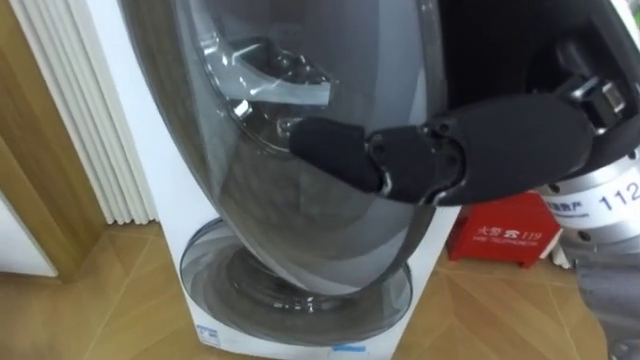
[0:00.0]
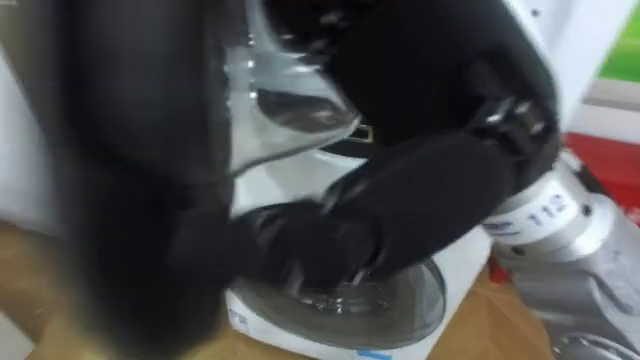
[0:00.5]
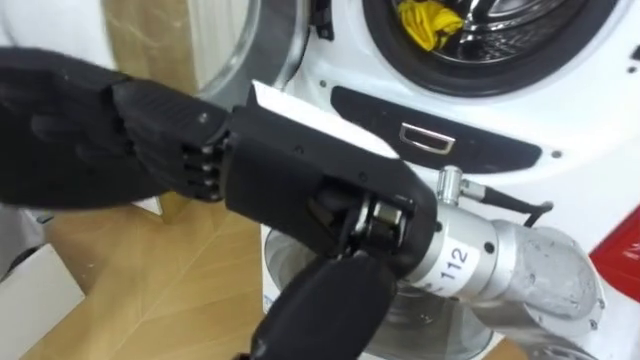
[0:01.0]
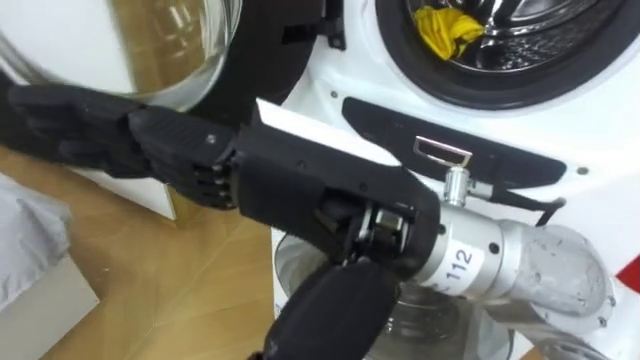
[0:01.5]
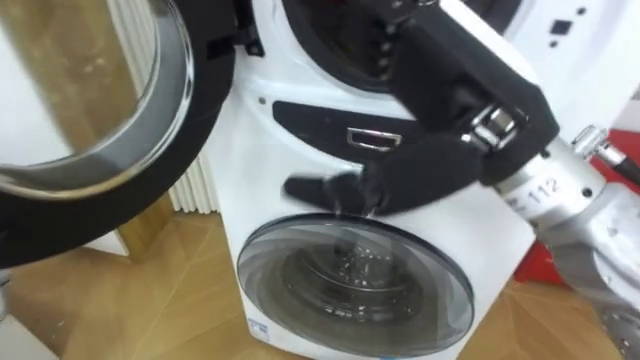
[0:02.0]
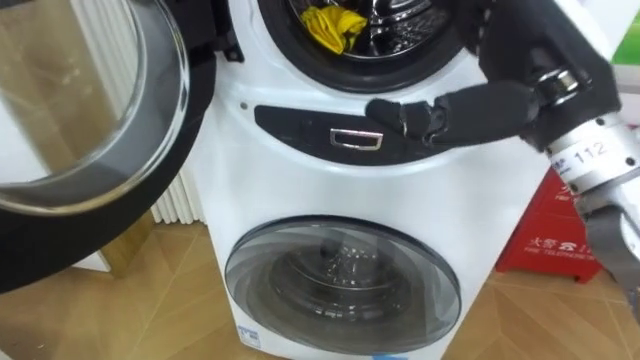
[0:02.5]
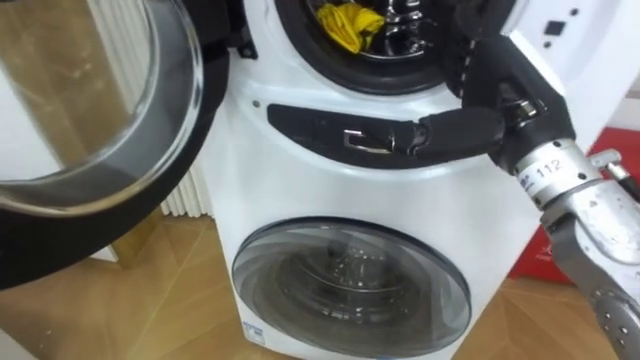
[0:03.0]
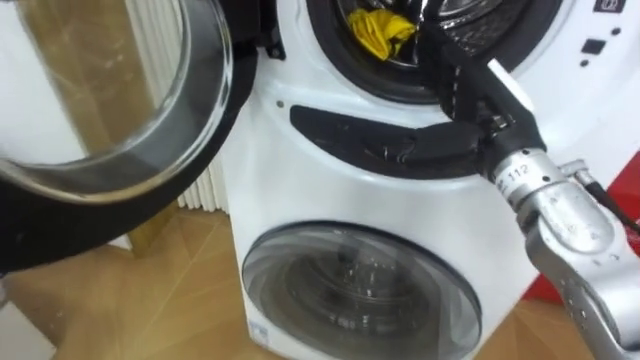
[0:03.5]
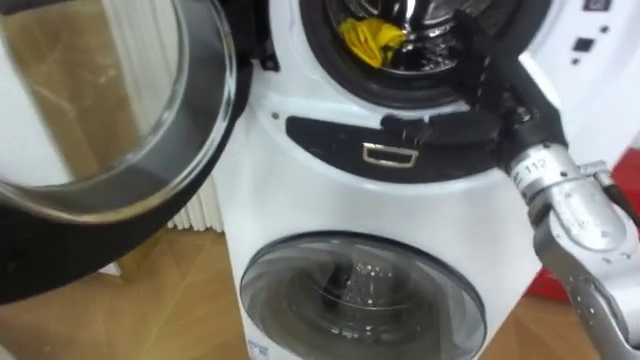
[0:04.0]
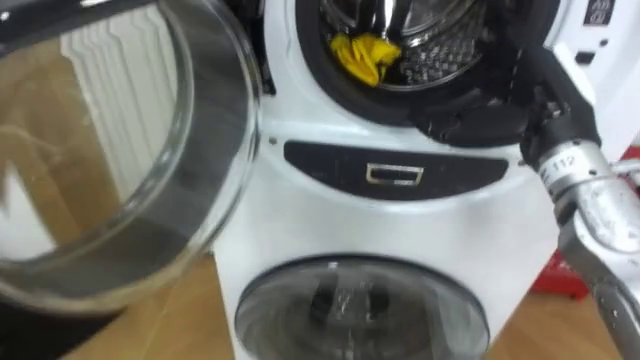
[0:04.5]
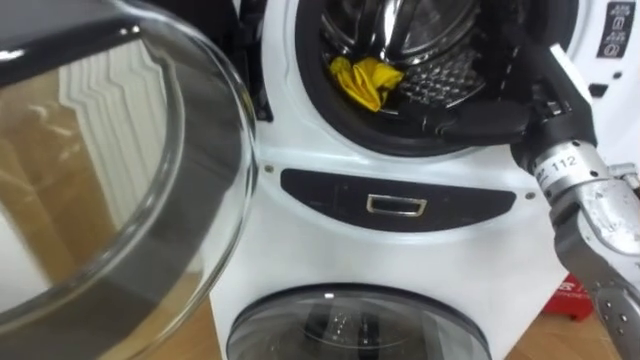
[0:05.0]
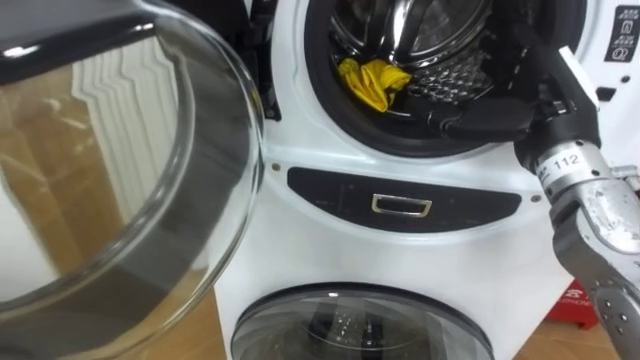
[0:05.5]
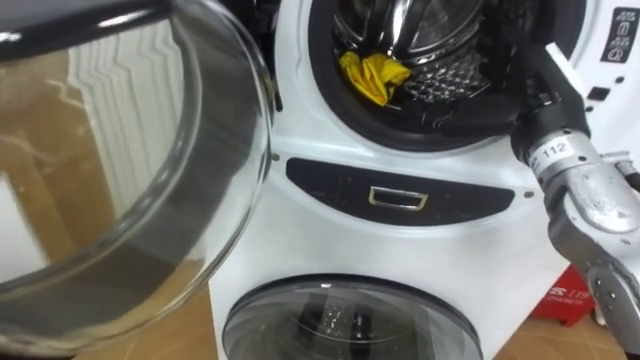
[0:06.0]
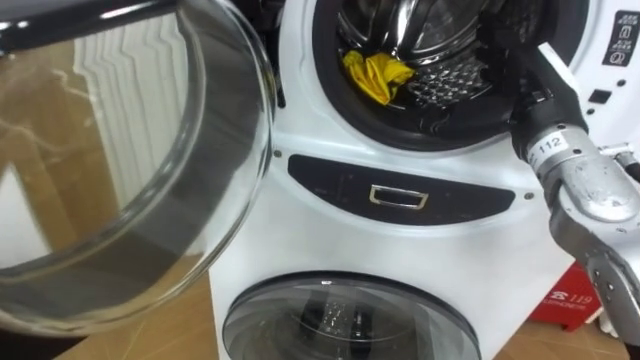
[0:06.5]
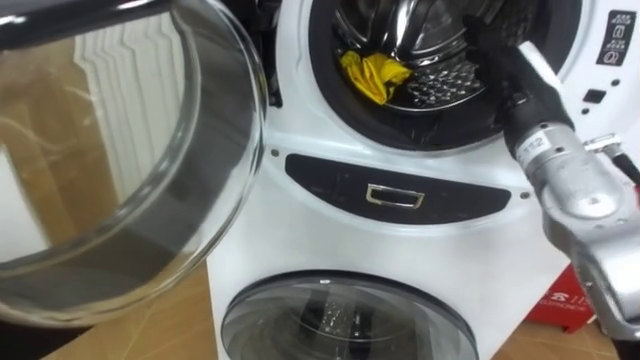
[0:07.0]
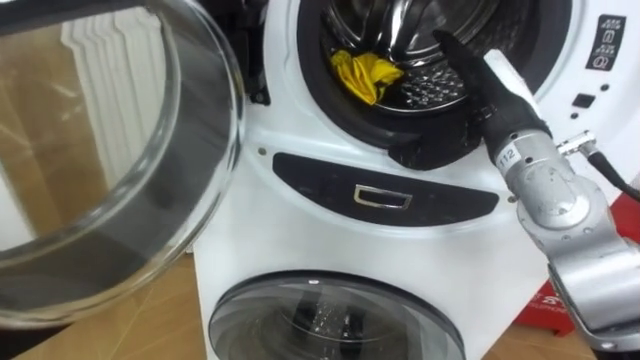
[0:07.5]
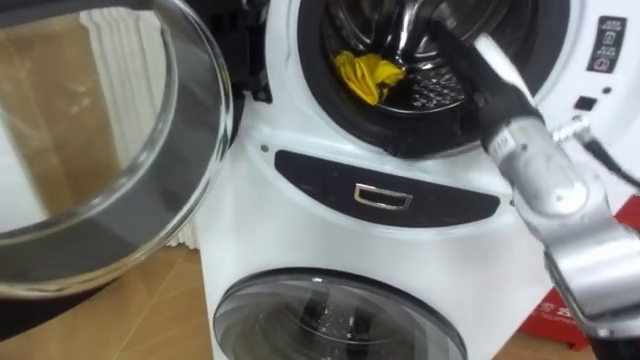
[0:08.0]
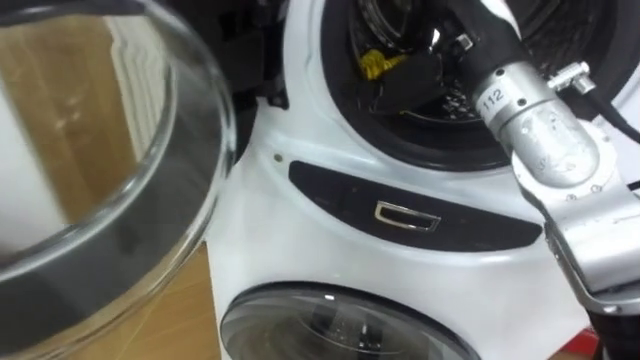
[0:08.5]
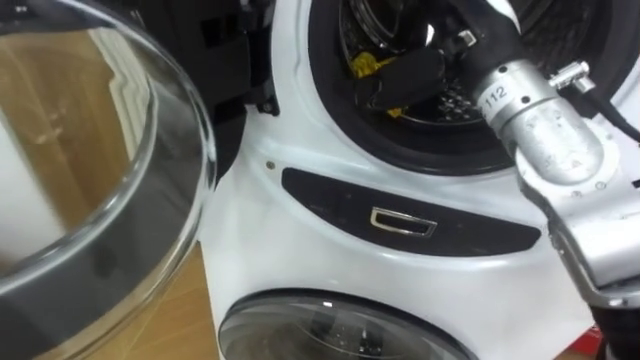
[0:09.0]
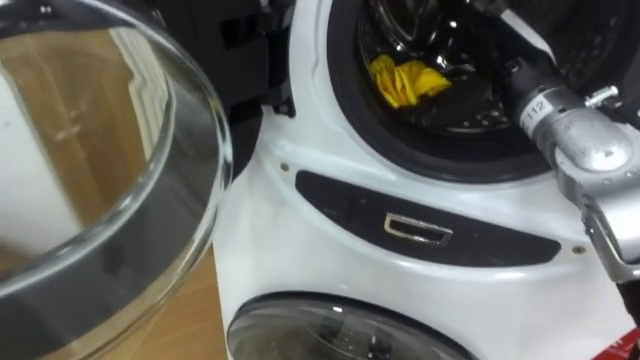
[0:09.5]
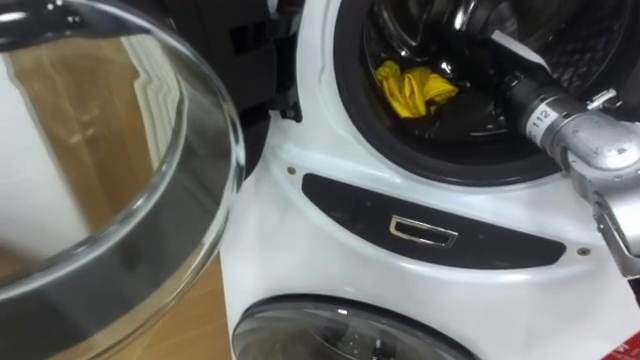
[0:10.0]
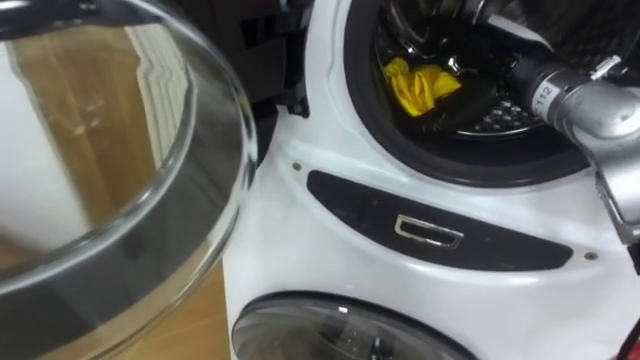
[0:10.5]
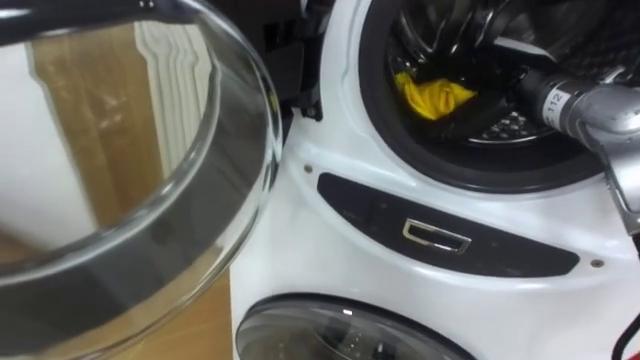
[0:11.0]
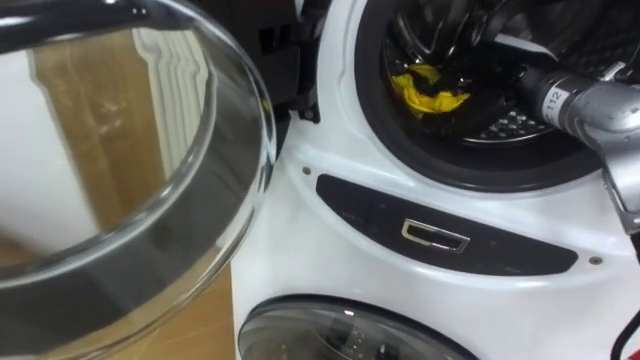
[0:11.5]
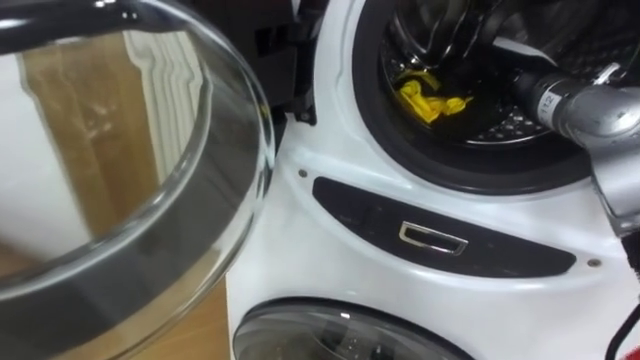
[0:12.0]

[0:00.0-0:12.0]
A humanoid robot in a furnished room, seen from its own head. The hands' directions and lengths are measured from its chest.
Task of the whole recording: Open the washing machine door, take out the yellow clothes, place them in the box on the right, and close the washing machine door.
0:00.0 to 0:02.0: The right hand moves roughly 10 cm to the left and comes back.
0:02.0 to 0:04.0: The right hand heads forward, to the right and downward, covering approximately 15 cm.
0:10.0 to 0:12.0: The right hand closes up.

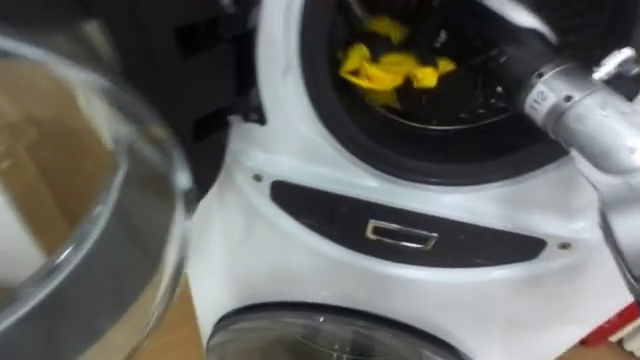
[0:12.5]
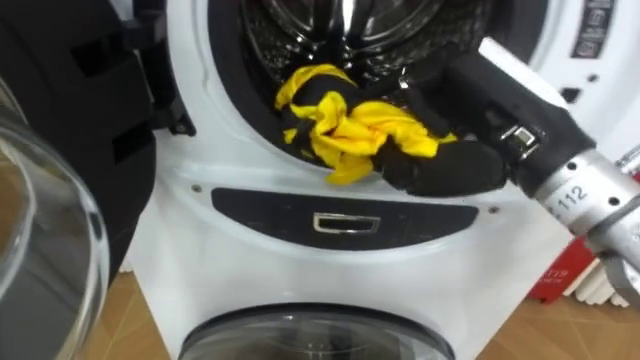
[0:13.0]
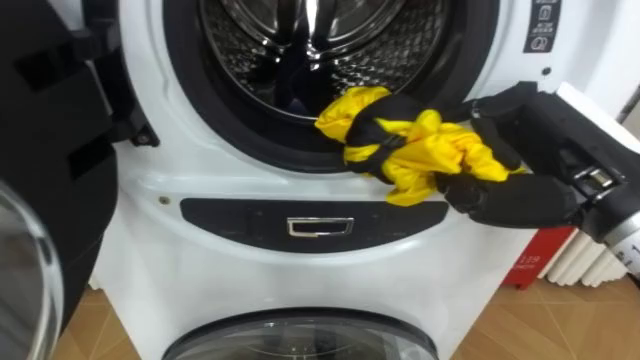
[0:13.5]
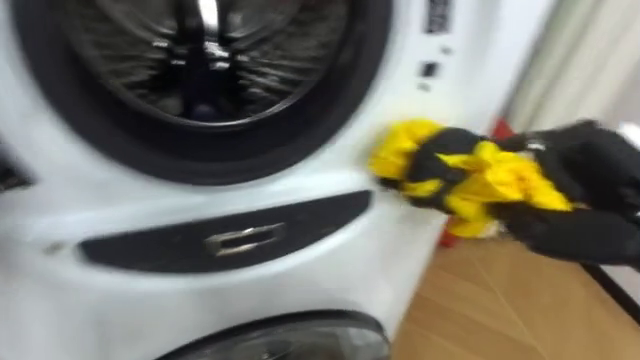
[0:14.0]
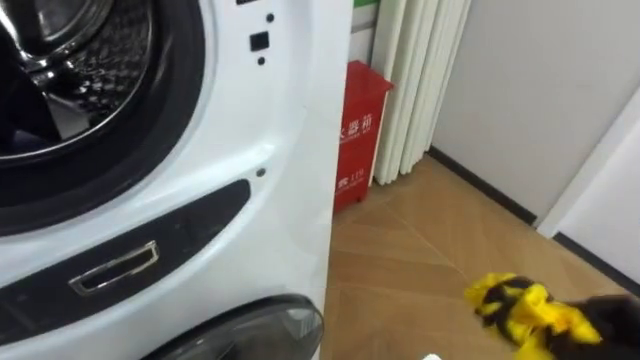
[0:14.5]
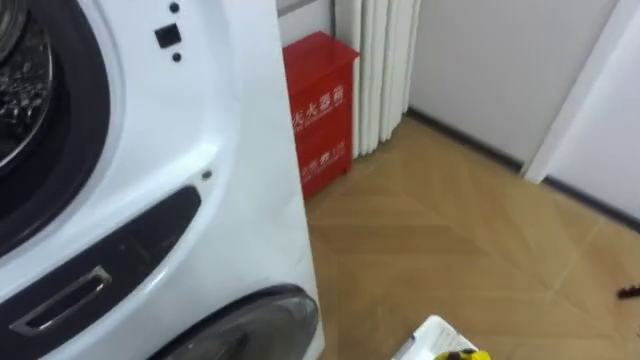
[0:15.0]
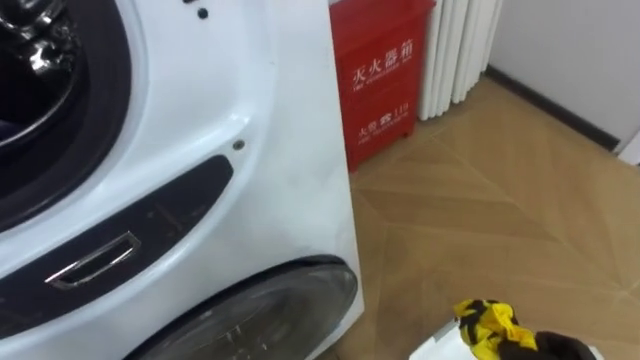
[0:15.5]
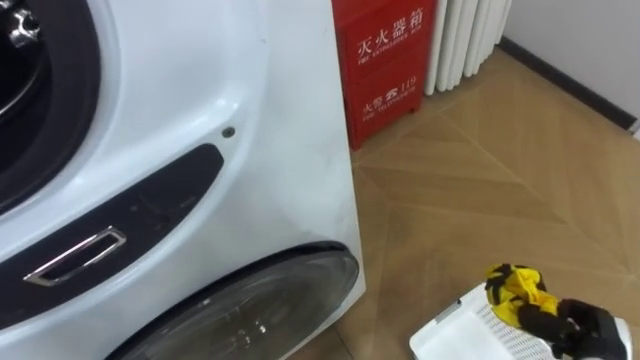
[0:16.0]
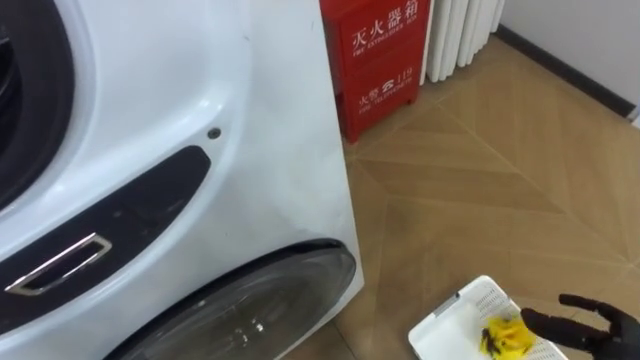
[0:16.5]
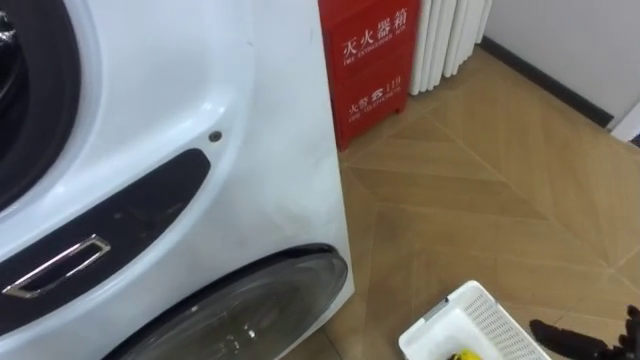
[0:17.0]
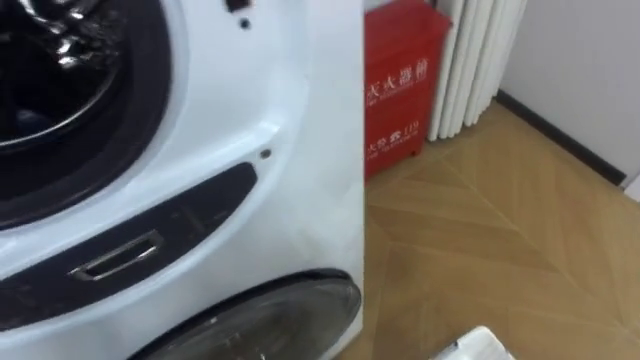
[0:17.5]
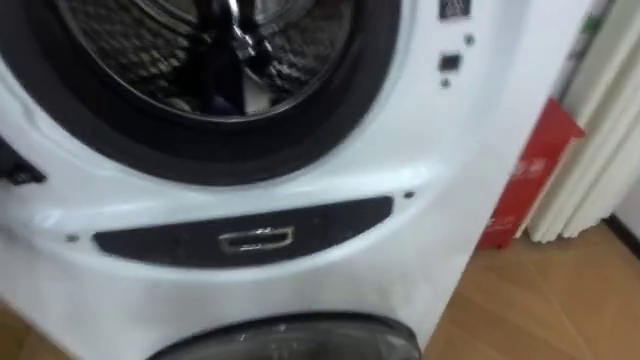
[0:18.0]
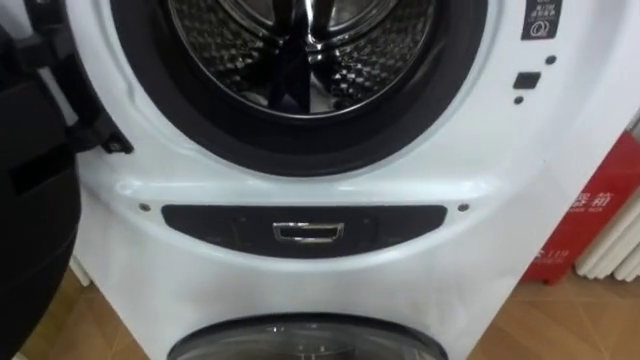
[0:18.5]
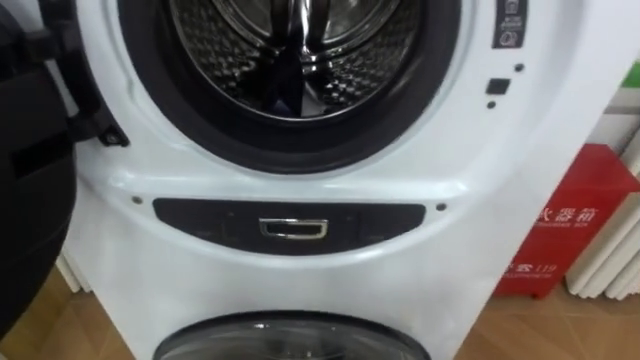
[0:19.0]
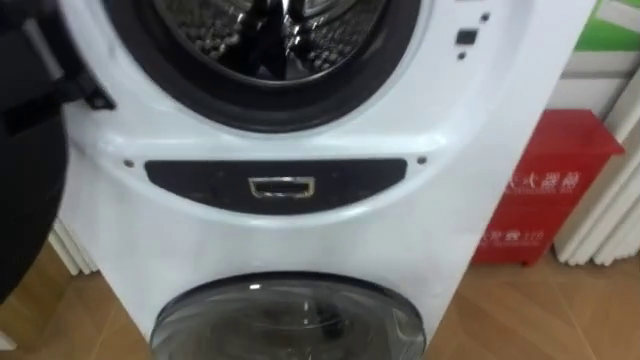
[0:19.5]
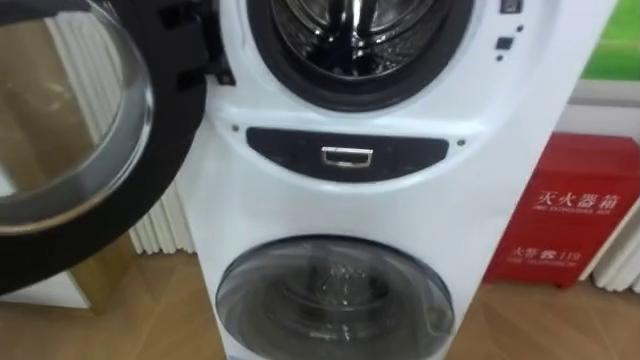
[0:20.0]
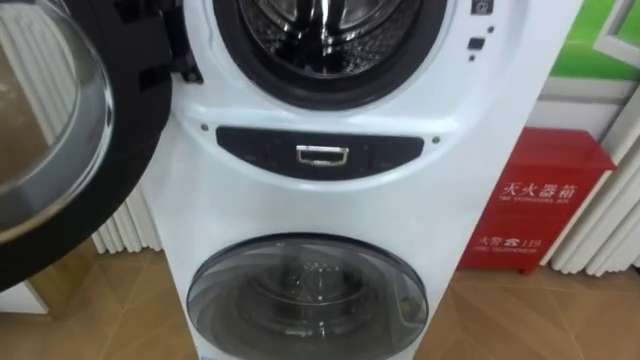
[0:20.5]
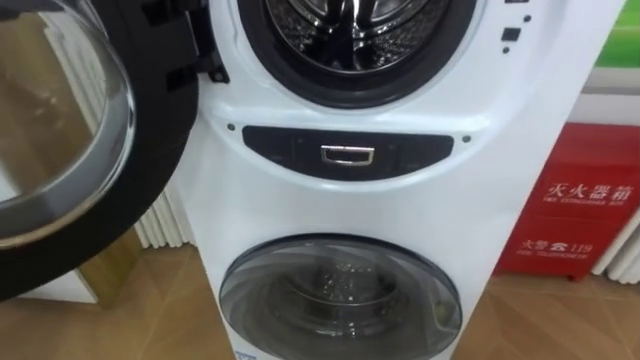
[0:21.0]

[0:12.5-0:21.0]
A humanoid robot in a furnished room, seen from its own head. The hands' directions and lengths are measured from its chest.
Task of the whole recording: Open the washing machine door, take out the yellow clothes, place them in the box on the right, and close the washing machine door.
0:16.5 to 0:19.0: The robot rotates roughly 20 degrees to its left.
